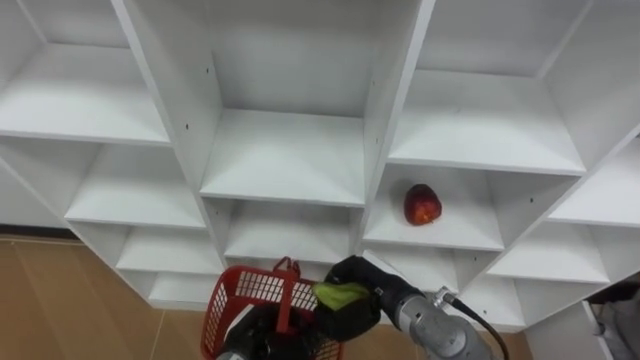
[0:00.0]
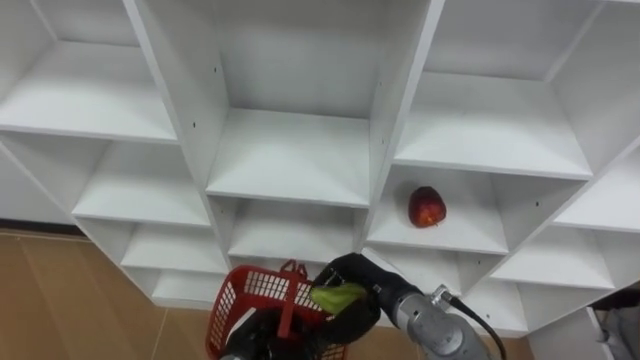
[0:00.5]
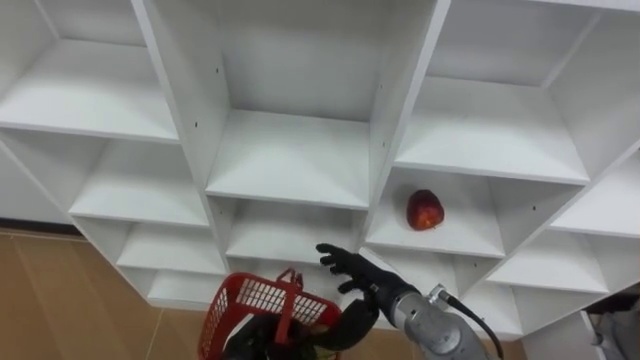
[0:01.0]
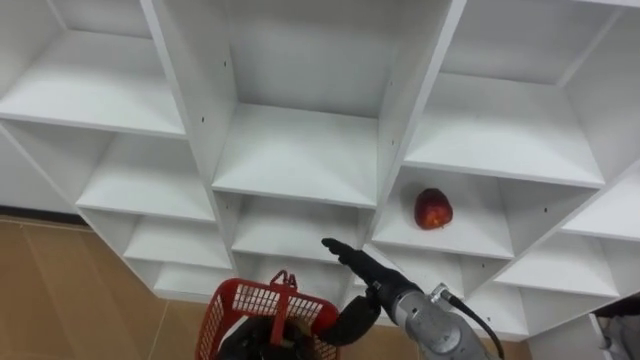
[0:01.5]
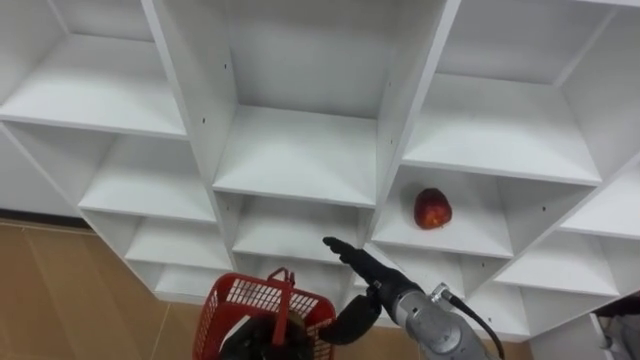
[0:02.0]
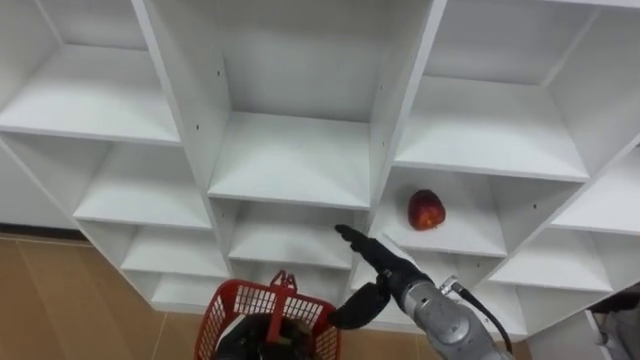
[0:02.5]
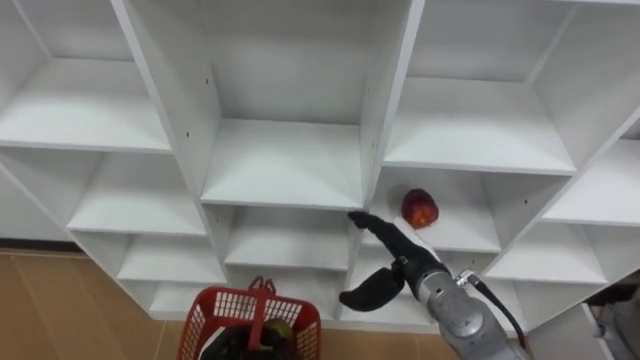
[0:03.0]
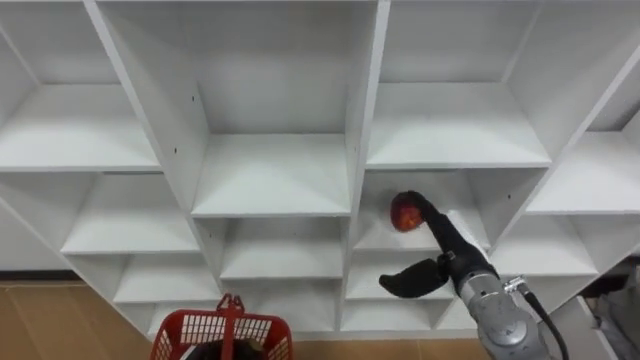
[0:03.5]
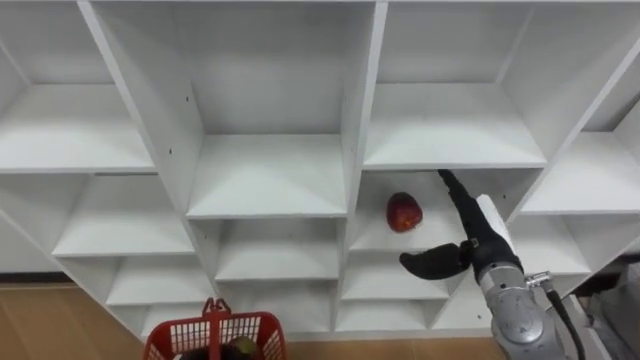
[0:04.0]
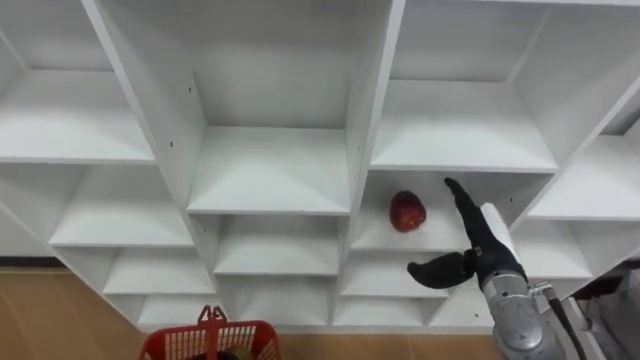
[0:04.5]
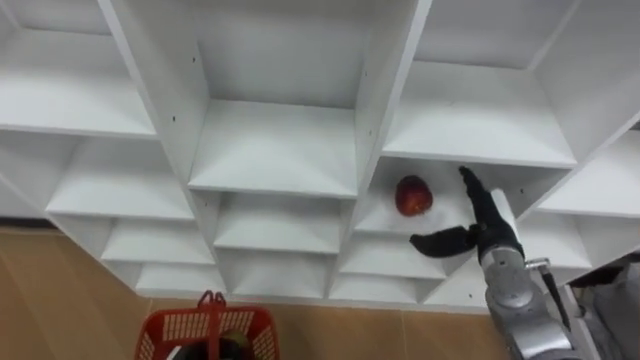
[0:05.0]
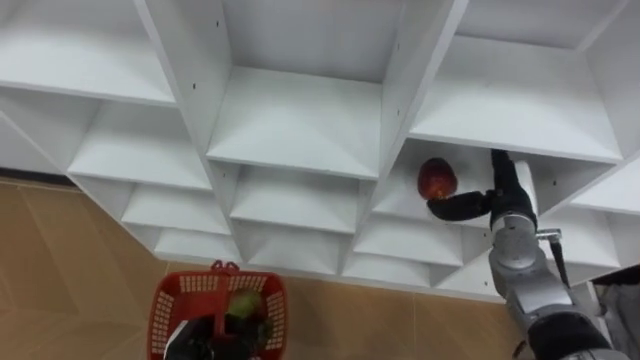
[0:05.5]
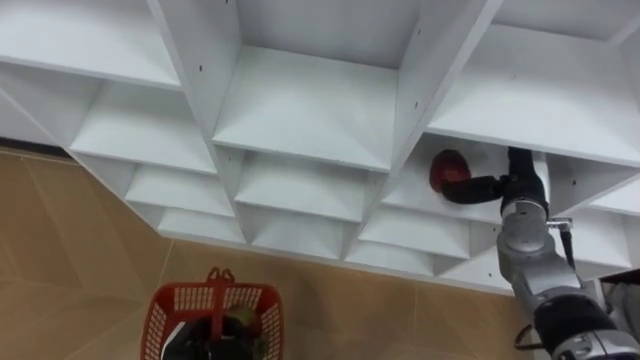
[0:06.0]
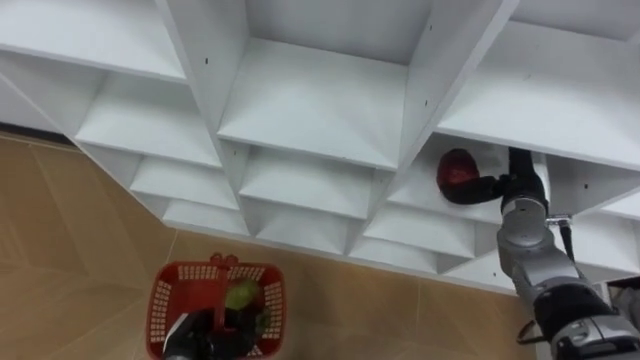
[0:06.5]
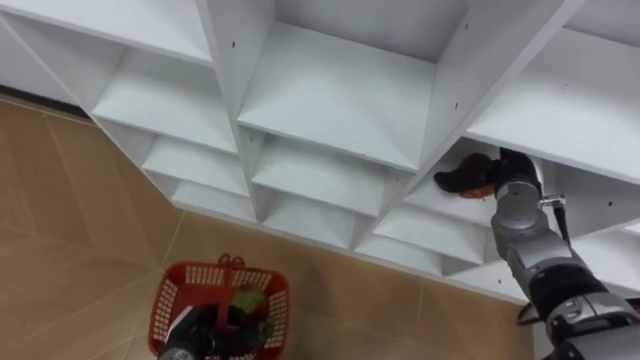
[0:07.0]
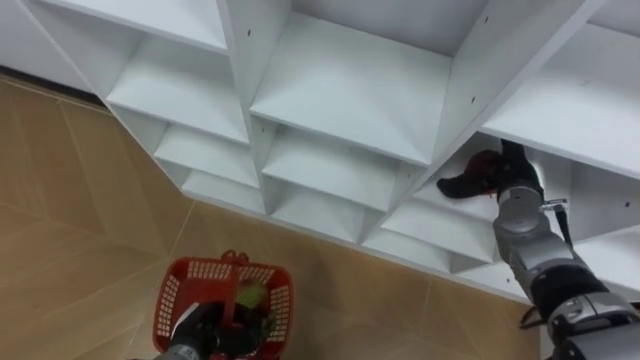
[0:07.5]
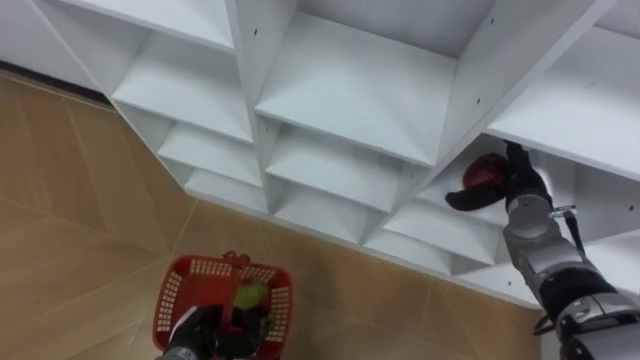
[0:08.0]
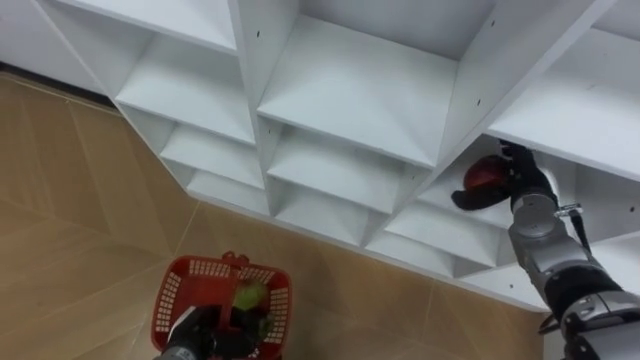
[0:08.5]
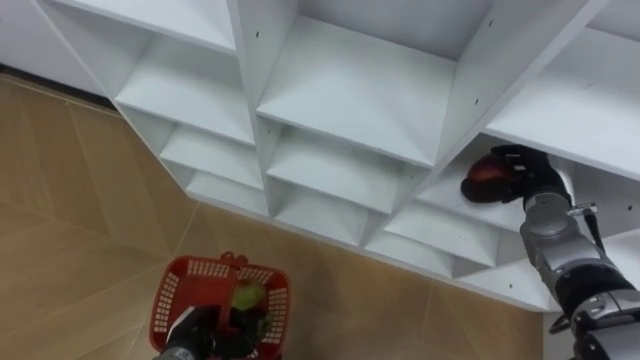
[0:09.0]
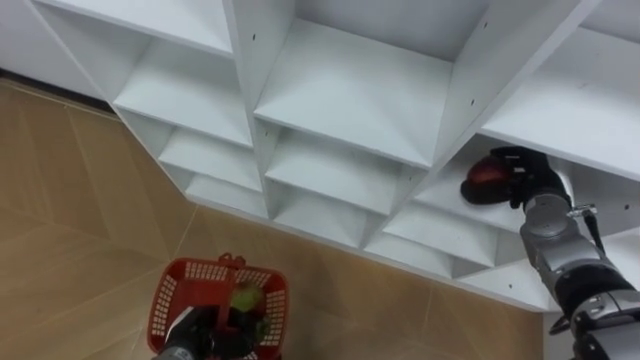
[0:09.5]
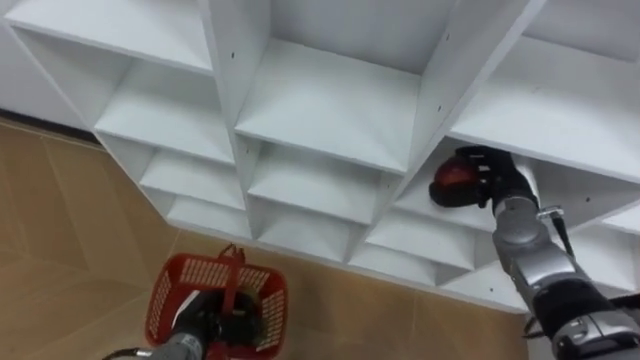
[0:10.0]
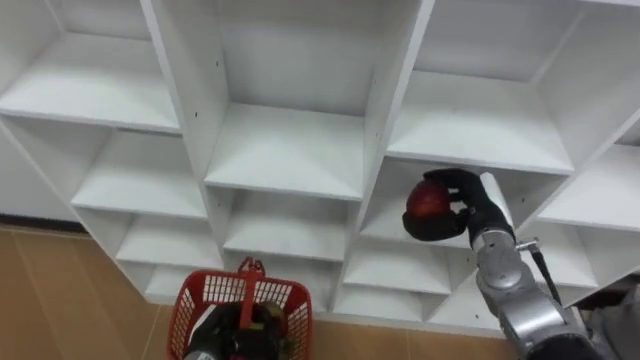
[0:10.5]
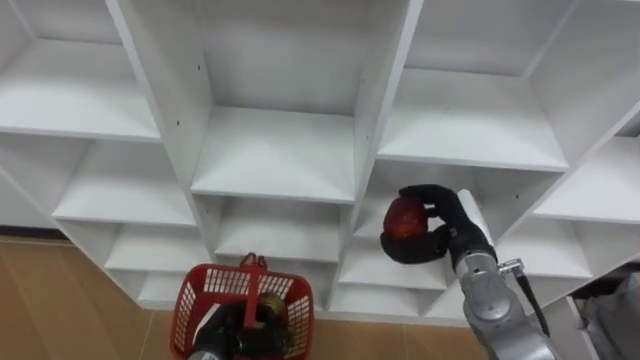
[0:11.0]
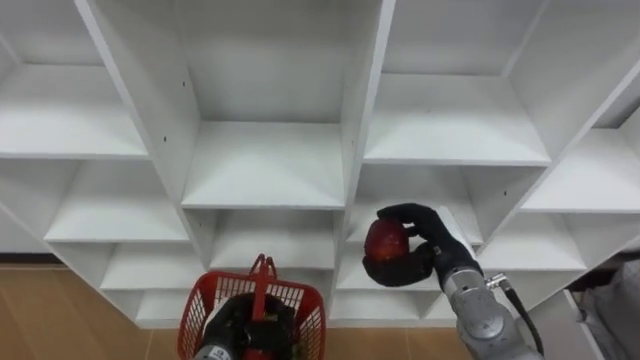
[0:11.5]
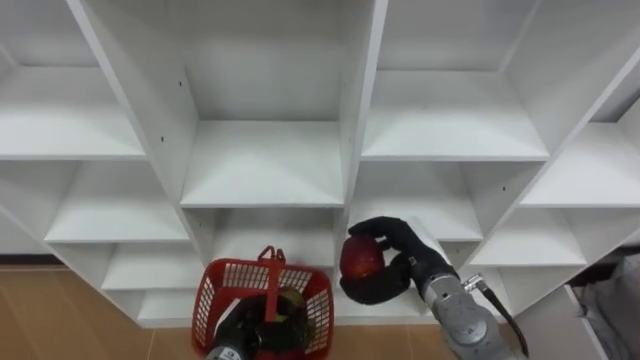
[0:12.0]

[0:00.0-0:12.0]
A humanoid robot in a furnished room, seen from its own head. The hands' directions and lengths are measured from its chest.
Task of the whole recording: Hold the basket and collect the fruits from 3 different cells of the closet into it.
0:00.0 to 0:02.0: The right hand opens its fingers.
0:02.0 to 0:04.0: The right hand shifts about 15 cm to the right.
0:04.0 to 0:06.0: The right hand travels forward and to the right by some 10 cm.
0:08.0 to 0:10.0: The right hand closes.
0:10.0 to 0:12.0: The right hand travels to the left and backward by approximately 15 cm. Meanwhile the left hand travels to the right by about 5 cm.

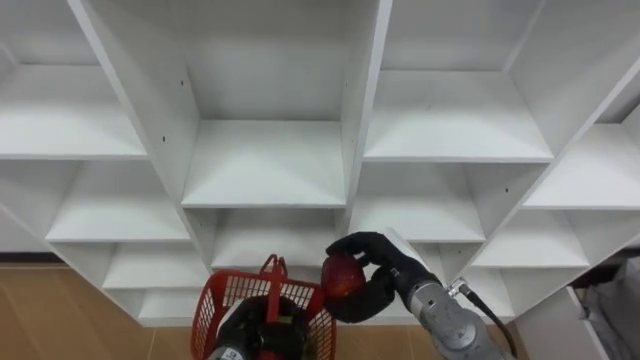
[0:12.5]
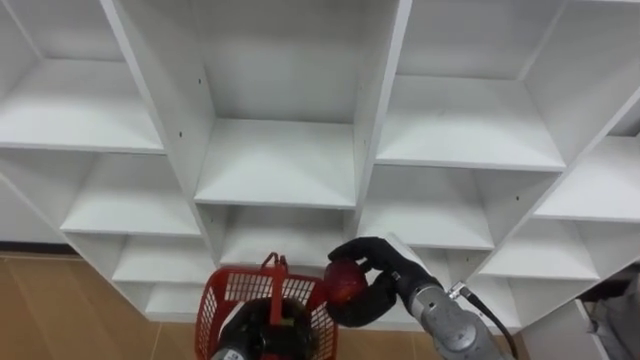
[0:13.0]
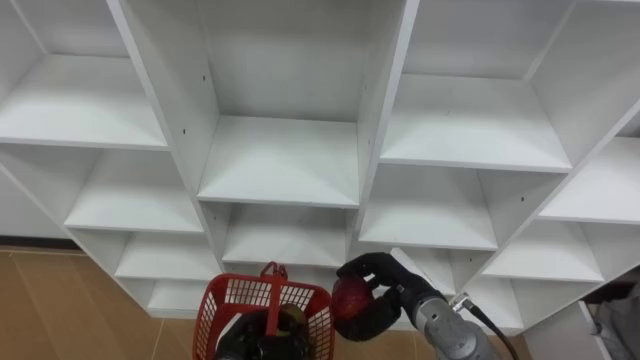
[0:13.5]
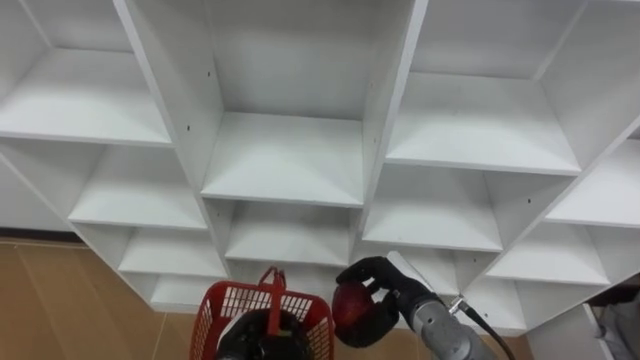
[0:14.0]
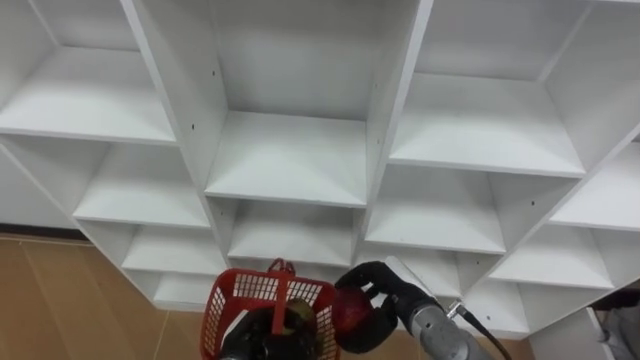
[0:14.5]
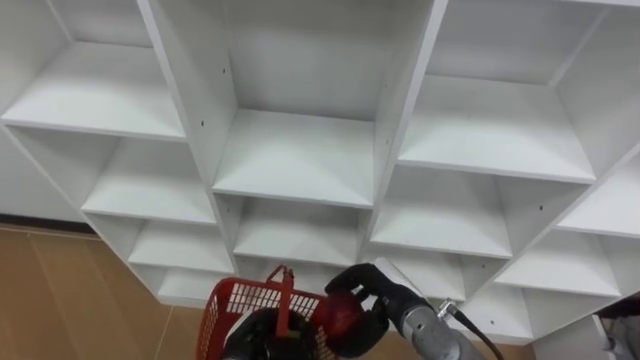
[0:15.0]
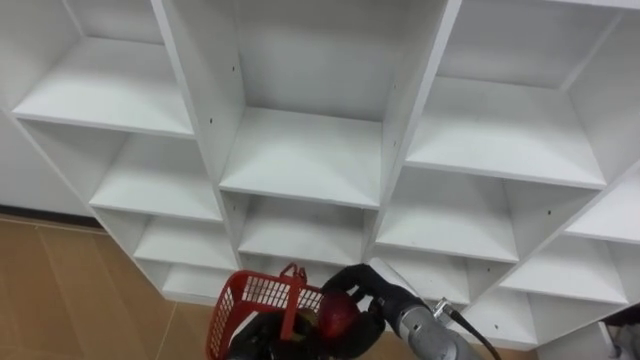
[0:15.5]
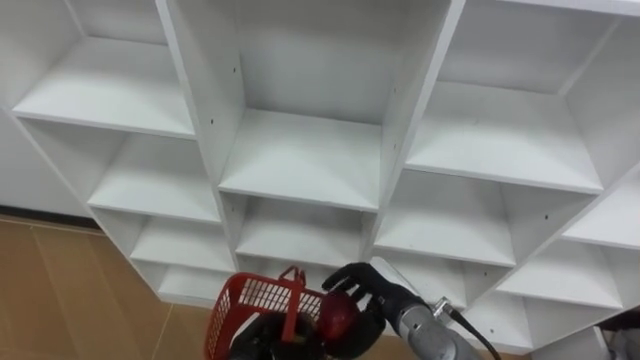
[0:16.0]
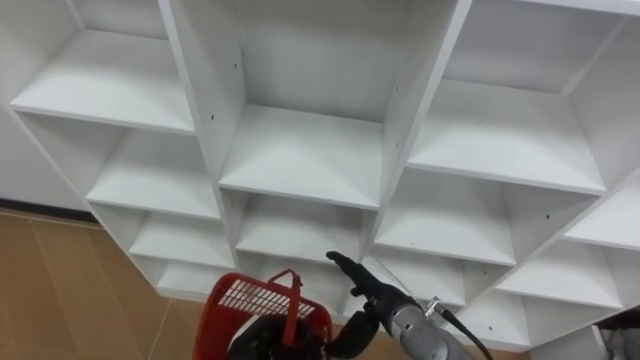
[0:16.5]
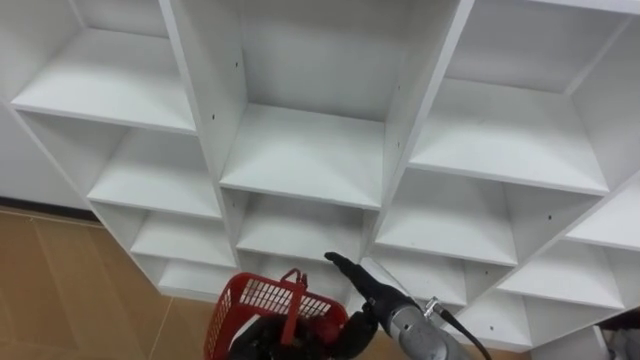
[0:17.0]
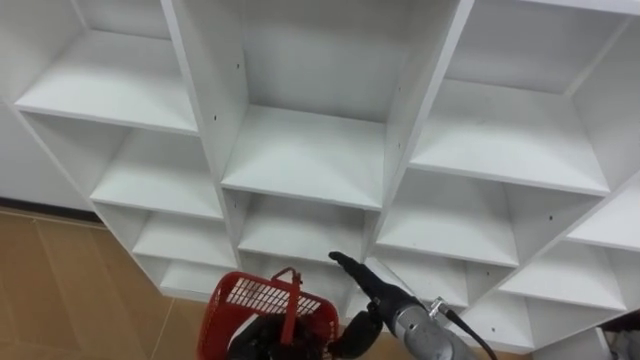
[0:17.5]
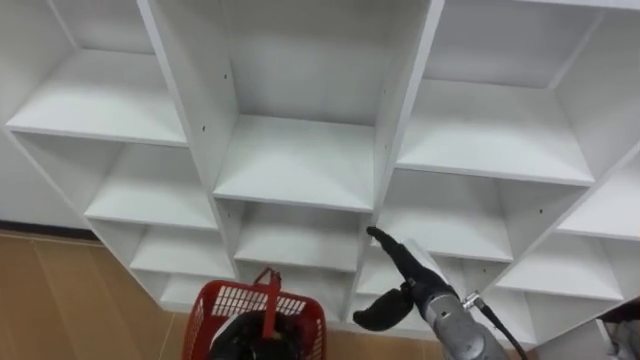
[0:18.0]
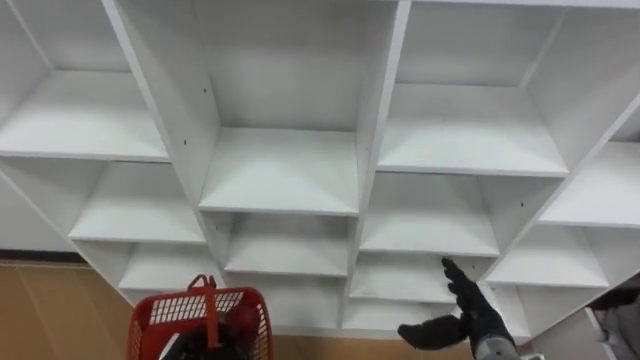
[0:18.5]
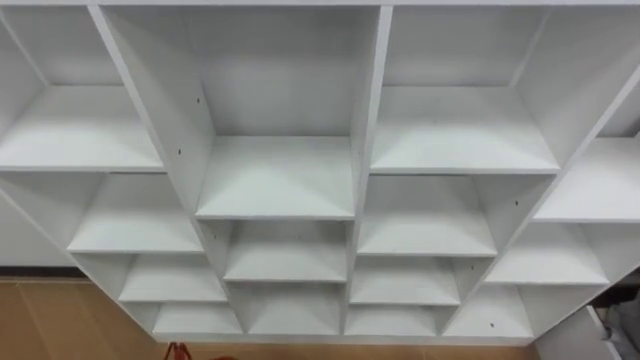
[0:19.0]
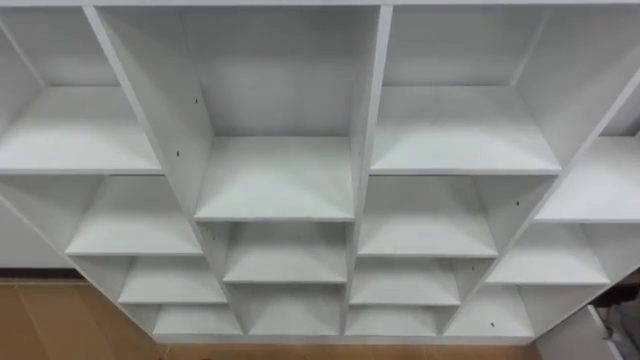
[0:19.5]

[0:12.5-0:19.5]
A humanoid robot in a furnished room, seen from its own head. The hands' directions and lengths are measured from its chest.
Task of the whole recording: Hold the basket and collect the fruits from 3 different cells of the closet into it.
0:16.0 to 0:17.5: The right hand opens up.

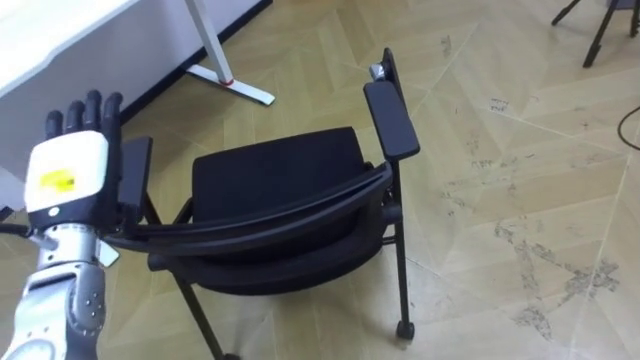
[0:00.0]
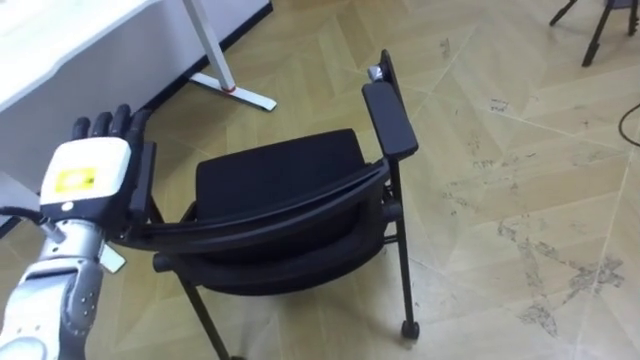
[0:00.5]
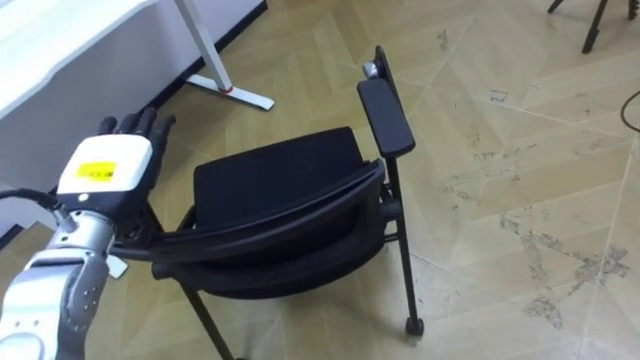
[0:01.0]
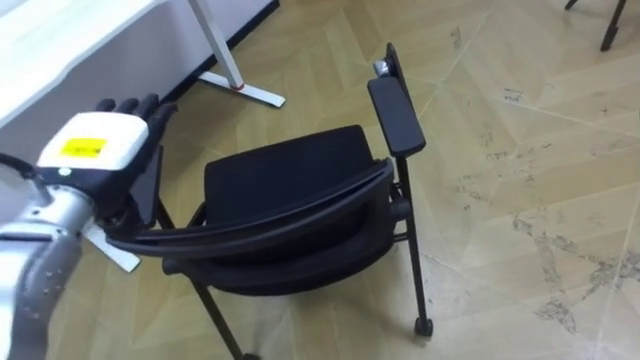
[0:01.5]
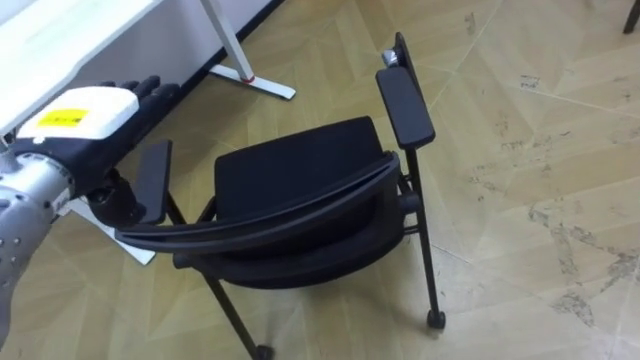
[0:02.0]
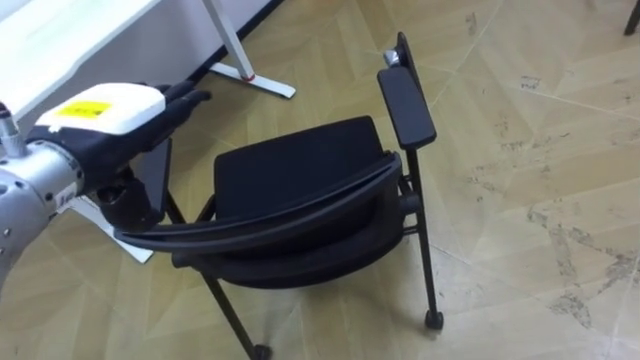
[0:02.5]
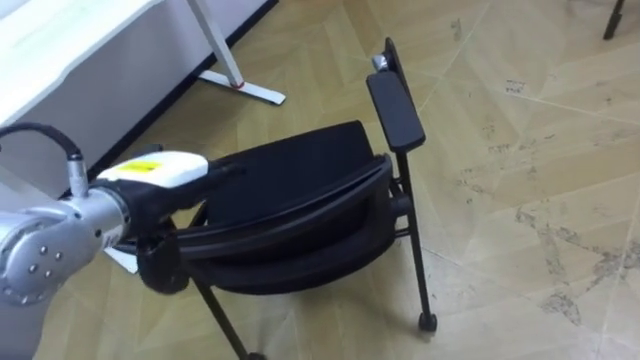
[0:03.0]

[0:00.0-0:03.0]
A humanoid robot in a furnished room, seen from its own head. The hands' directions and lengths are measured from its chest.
Task of the whole recording: Push the chair under the table.
0:00.0 to 0:01.5: The left hand changes place by some 5 cm.
0:01.5 to 0:03.0: The left hand goes approximately 5 cm to the right.
